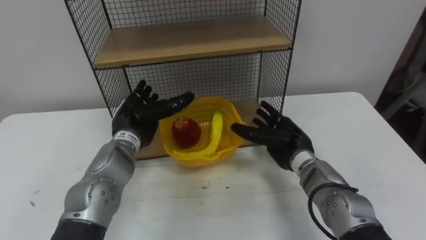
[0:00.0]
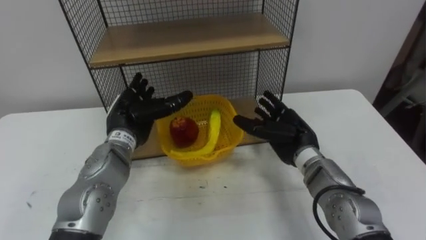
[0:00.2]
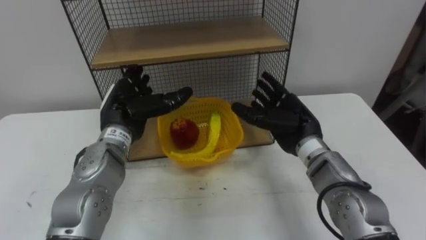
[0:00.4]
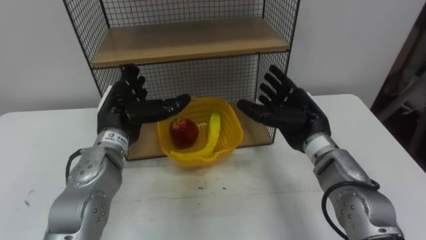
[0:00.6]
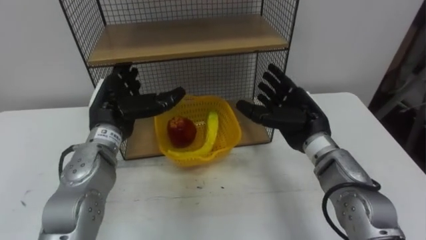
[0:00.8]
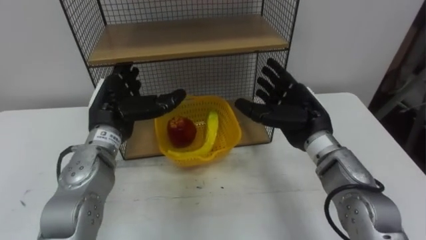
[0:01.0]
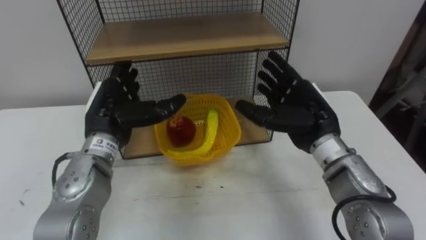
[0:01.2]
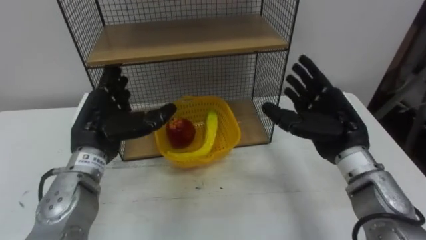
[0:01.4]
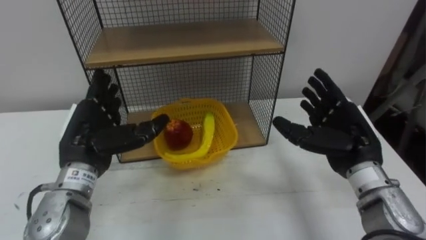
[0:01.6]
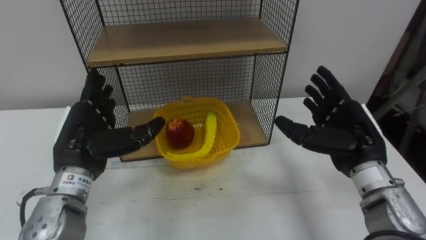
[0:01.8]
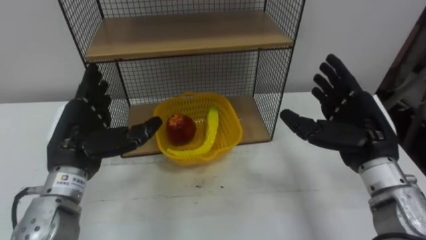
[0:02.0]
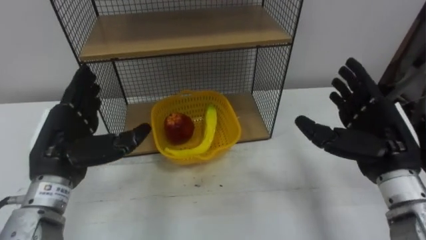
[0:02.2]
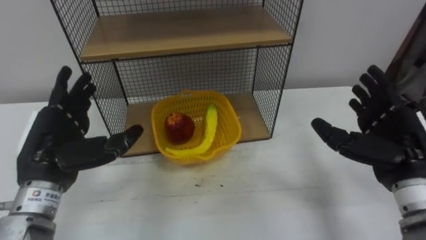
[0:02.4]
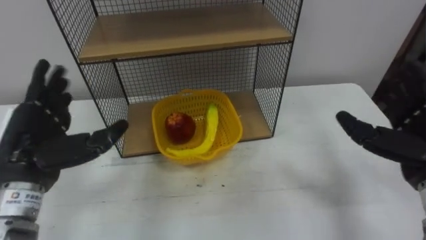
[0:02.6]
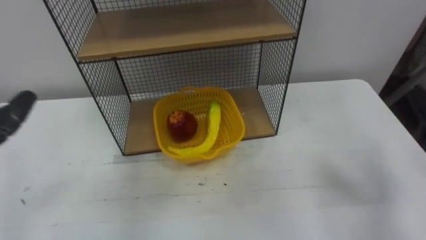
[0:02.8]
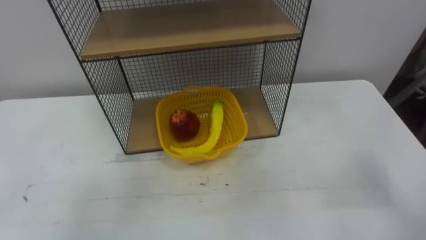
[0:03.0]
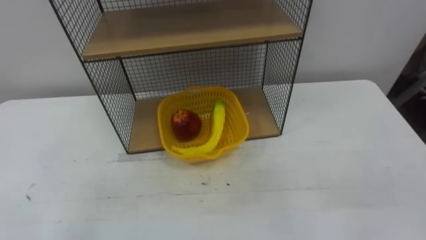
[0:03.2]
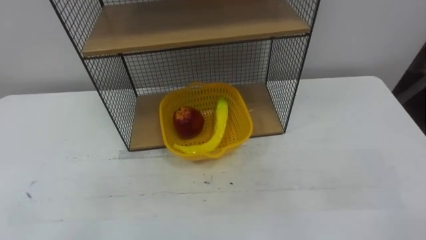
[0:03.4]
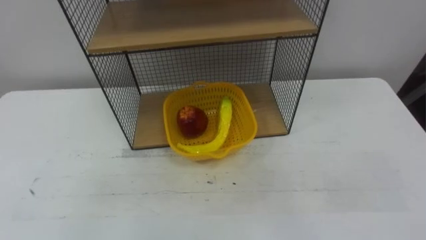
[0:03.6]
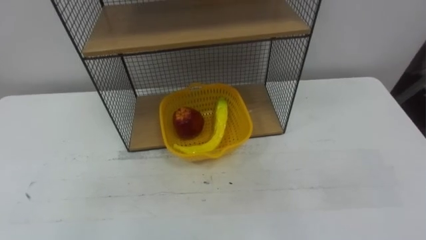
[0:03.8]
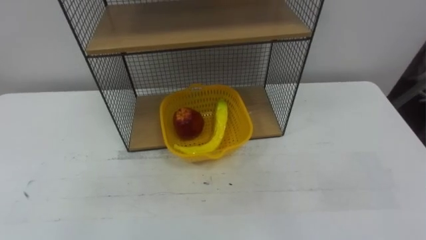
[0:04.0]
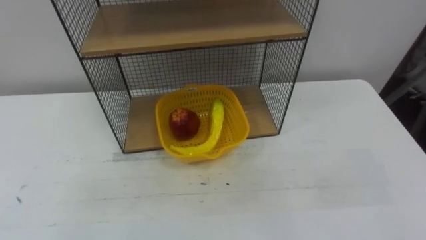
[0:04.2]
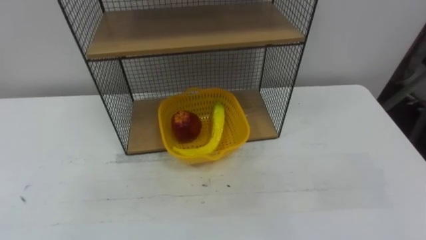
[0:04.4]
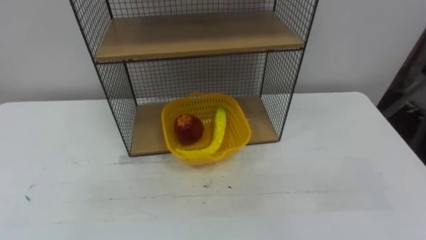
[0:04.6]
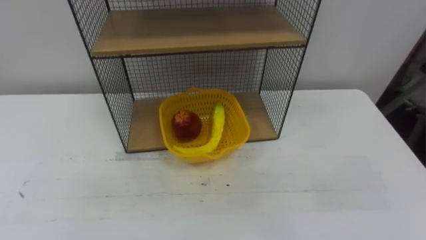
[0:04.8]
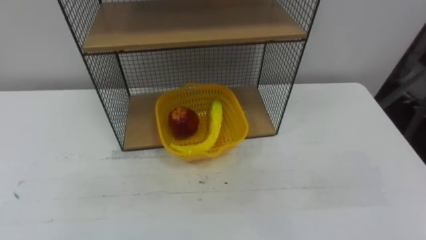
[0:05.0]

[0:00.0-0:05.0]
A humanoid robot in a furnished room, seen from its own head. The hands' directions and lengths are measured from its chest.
Task of the whole recording: Put the fruit on the table into the basket, then place the basket on the shelf.
0:00.0 to 0:01.6: The left hand shifts roughly 10 cm backward, upward and to the left. Meanwhile the right hand heads upward, to the right and backward, covering about 15 cm.

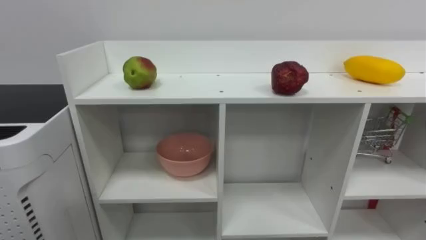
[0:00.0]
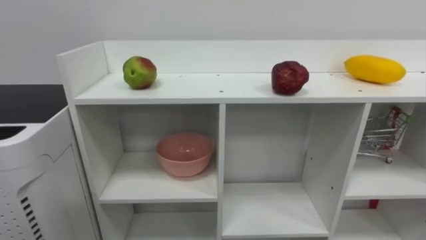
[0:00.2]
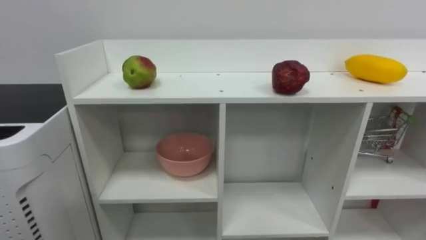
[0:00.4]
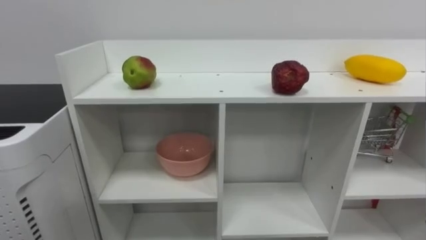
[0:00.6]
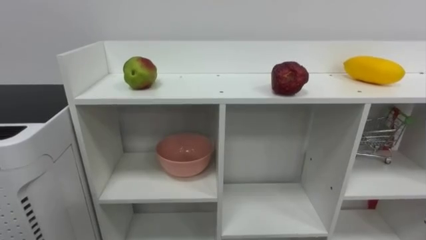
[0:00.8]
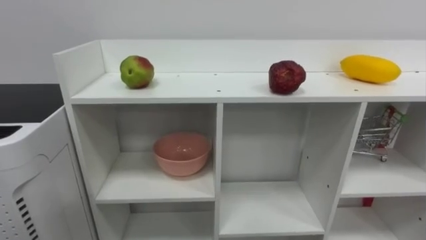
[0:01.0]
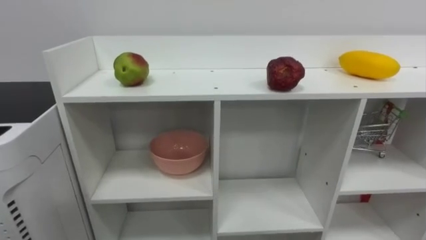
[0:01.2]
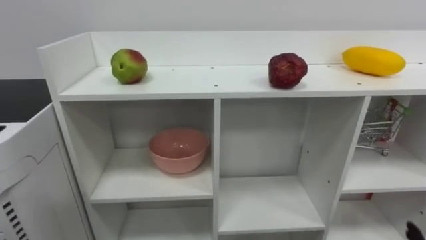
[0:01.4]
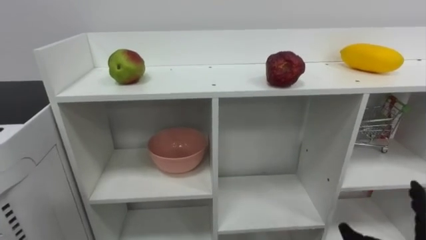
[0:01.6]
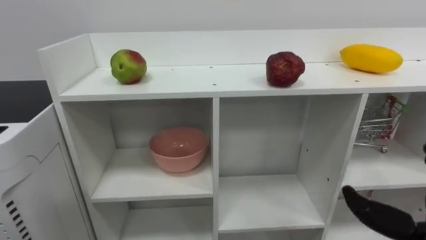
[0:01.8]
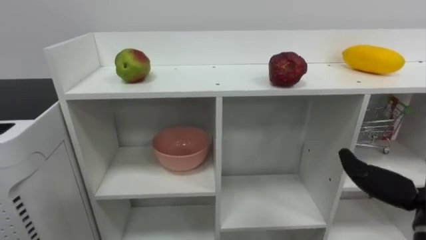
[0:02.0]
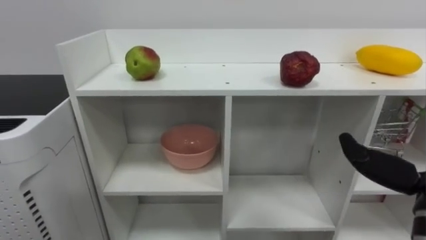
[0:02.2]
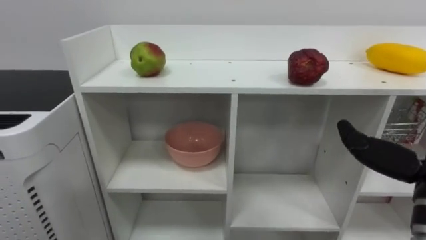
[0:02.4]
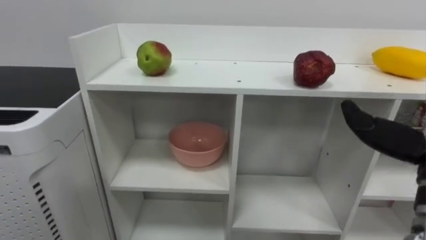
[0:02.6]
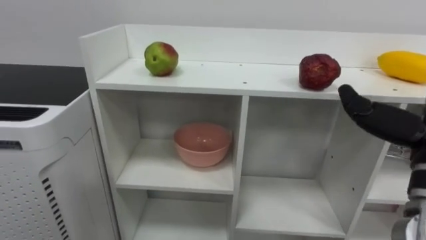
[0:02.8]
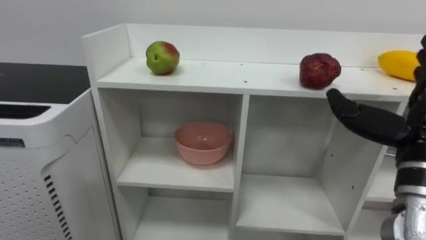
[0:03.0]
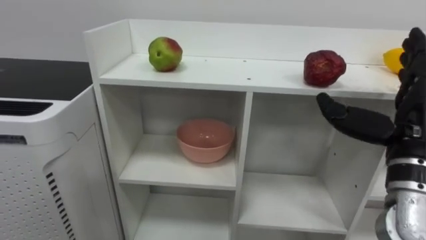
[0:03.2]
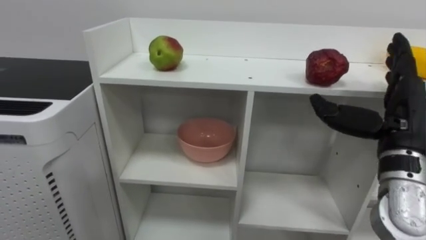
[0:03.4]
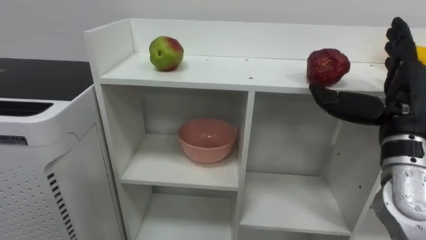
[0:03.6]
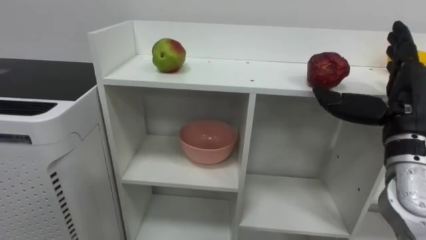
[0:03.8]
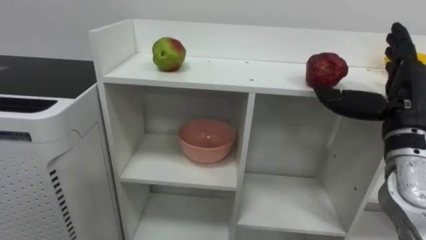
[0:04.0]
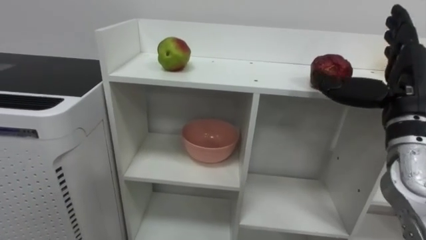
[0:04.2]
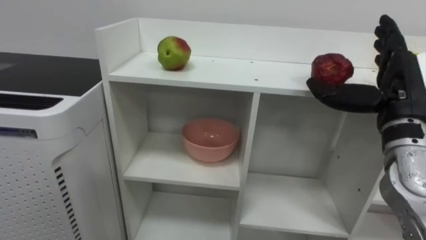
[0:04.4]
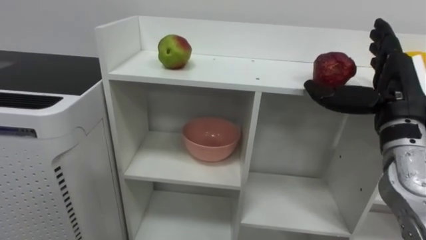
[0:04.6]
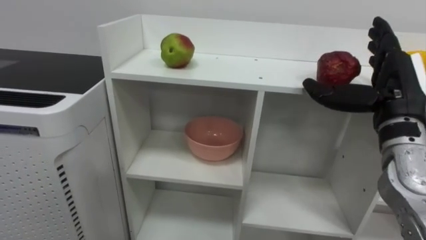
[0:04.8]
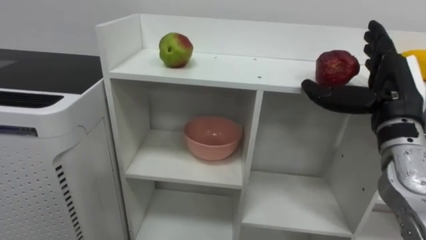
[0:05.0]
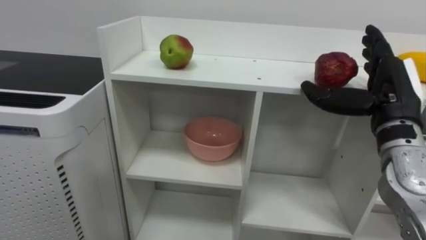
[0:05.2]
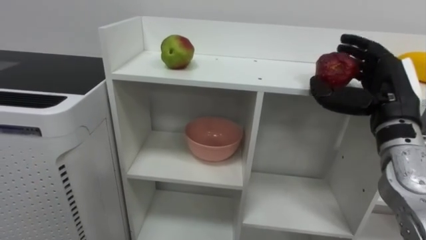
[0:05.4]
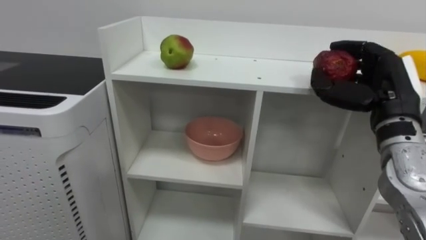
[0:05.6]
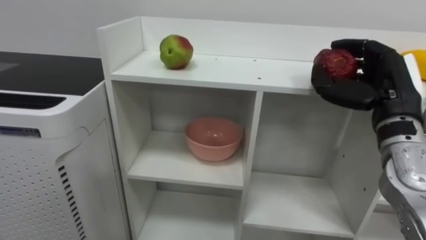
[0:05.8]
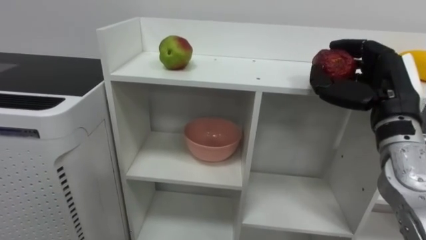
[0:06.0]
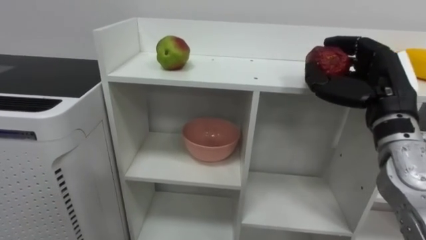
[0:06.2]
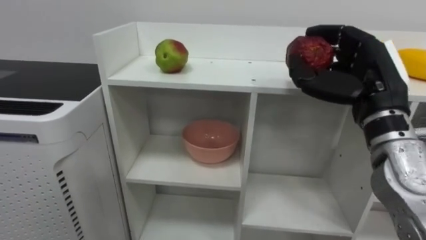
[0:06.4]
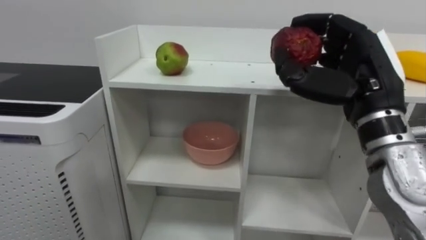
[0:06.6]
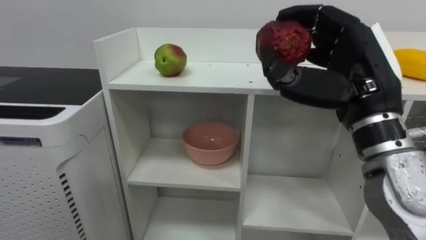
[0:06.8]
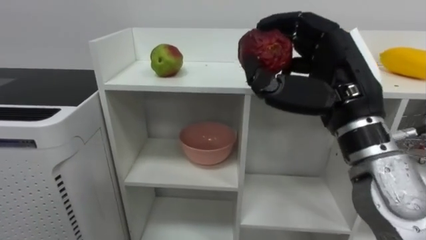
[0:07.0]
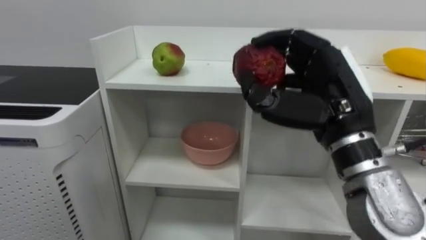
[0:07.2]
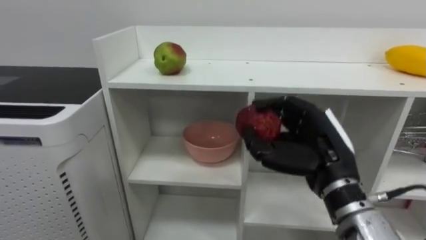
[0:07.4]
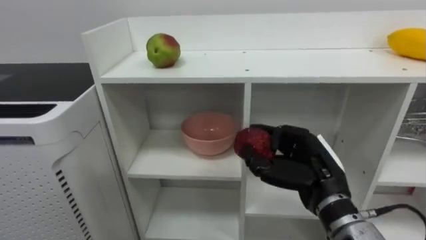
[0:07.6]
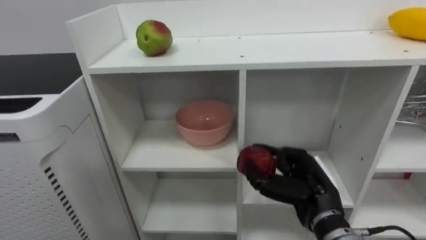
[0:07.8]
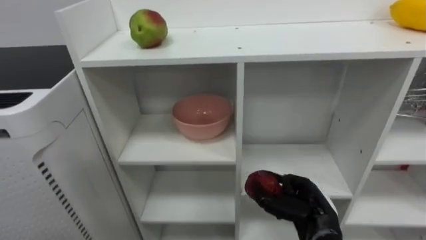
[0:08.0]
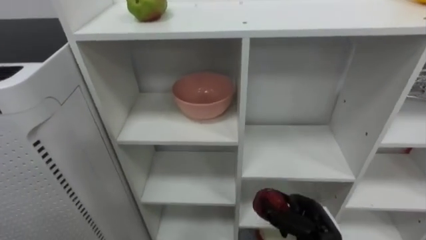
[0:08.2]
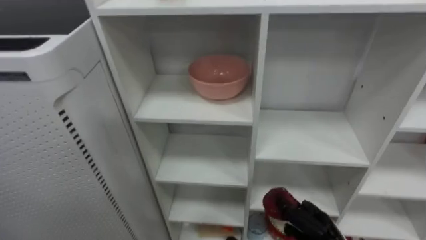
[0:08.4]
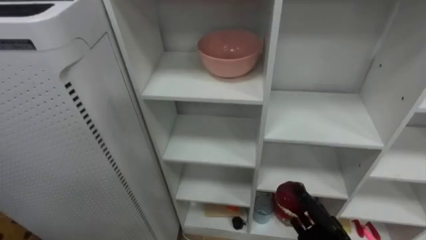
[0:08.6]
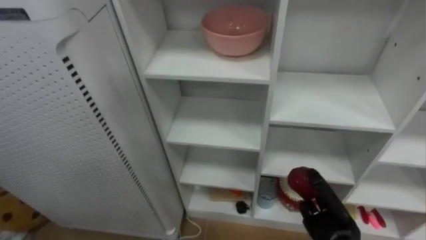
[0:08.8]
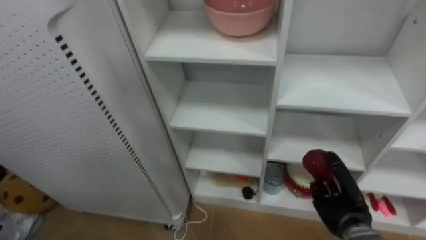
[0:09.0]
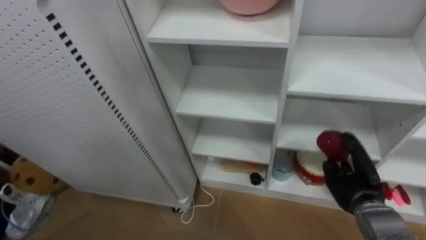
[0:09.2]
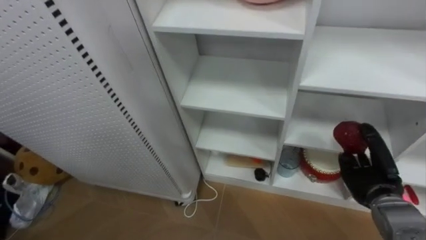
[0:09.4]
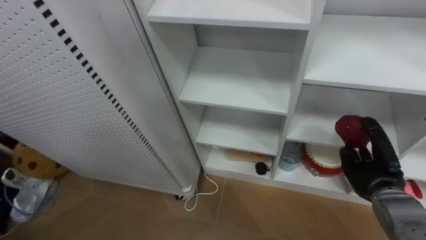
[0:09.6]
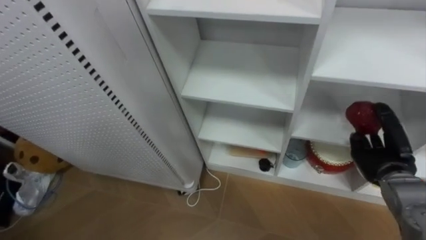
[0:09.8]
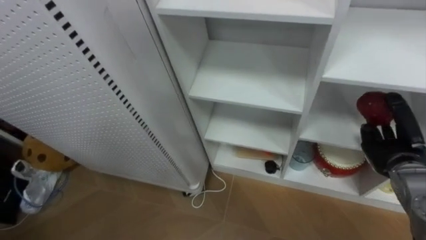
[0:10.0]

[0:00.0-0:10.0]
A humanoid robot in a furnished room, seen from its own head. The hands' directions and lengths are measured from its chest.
Task of the whole recording: Put the apple in the cell in the second column from the left and the second row from the top.
0:04.2 to 0:05.8: The right hand closes its fingers.
0:05.8 to 0:07.2: The right hand moves to the left and backward, some 10 cm.
0:07.2 to 0:08.6: The right hand moves downward, about 30 cm.
0:08.6 to 0:10.0: The right hand travels upward, to the right and forward by some 20 cm.

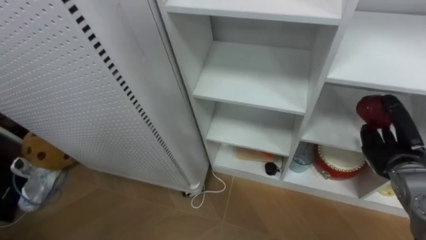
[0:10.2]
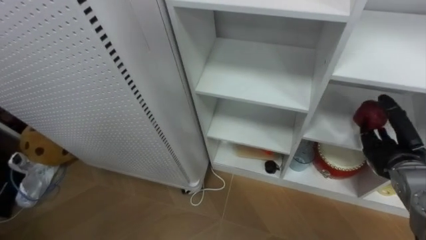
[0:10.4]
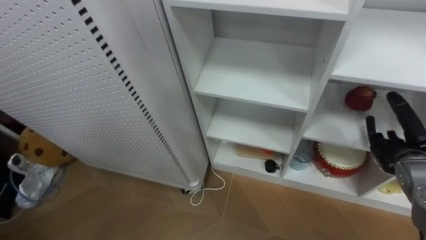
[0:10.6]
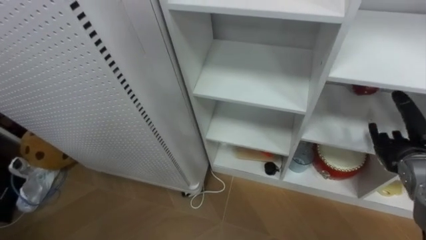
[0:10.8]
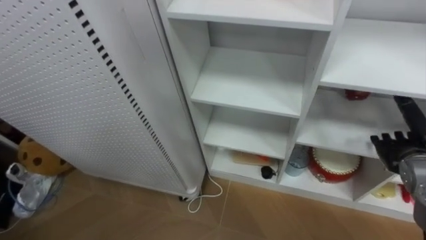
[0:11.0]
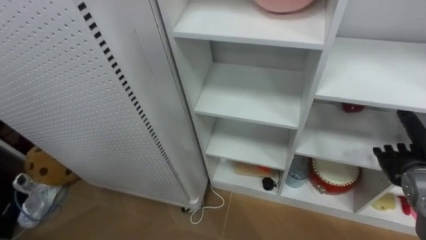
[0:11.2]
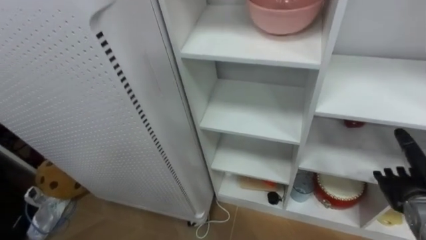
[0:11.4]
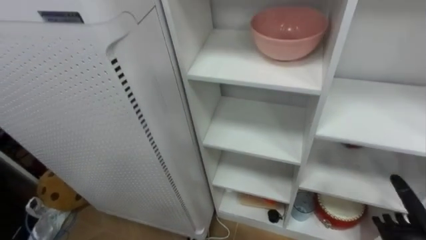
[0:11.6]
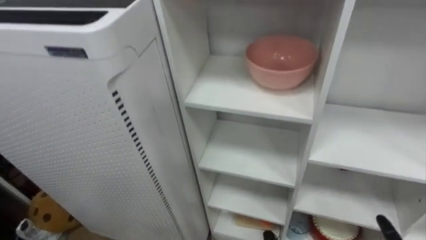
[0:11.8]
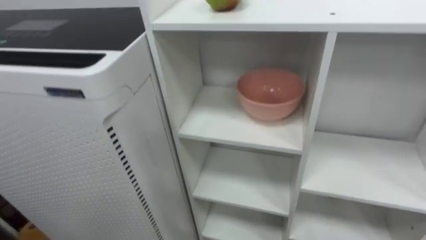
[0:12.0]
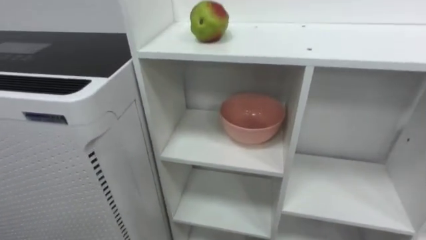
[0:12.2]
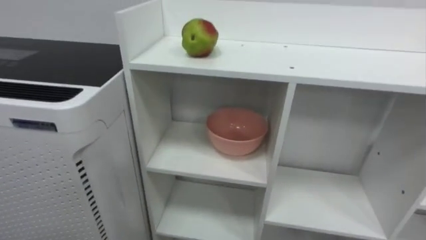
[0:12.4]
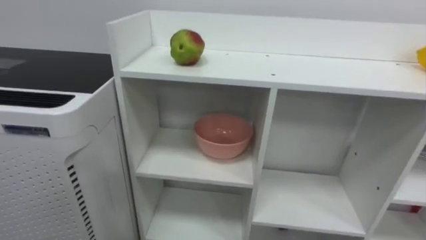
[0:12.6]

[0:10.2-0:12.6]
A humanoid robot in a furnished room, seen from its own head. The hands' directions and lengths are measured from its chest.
Task of the whole recording: Put the apple in the cell in the second column from the left and the second row from the top.
0:10.2 to 0:11.4: The right hand travels downward by roughly 5 cm, and opens up.
